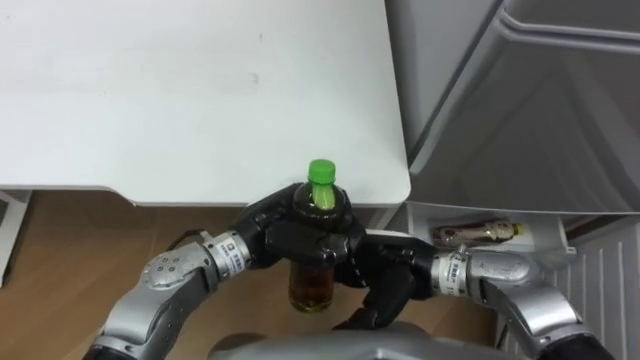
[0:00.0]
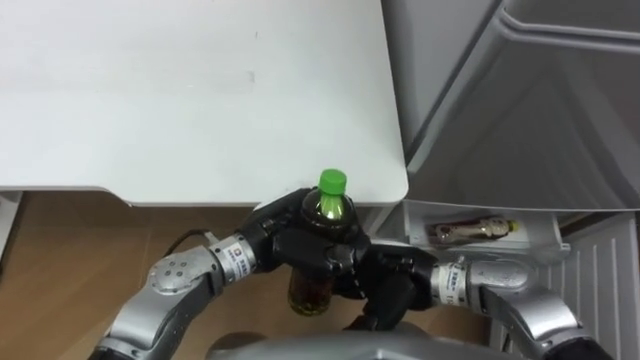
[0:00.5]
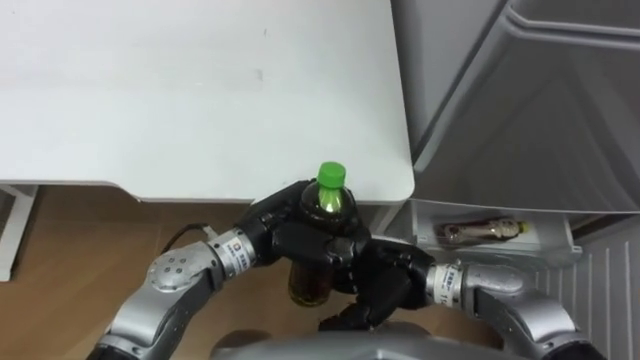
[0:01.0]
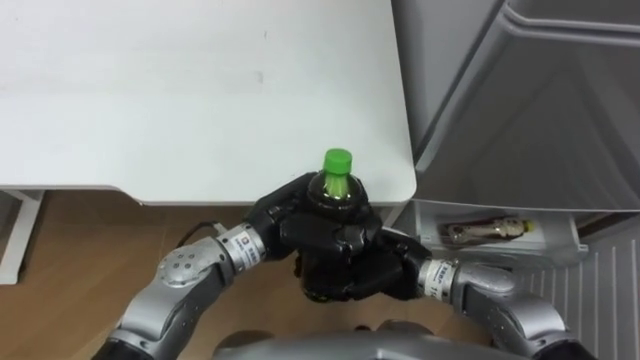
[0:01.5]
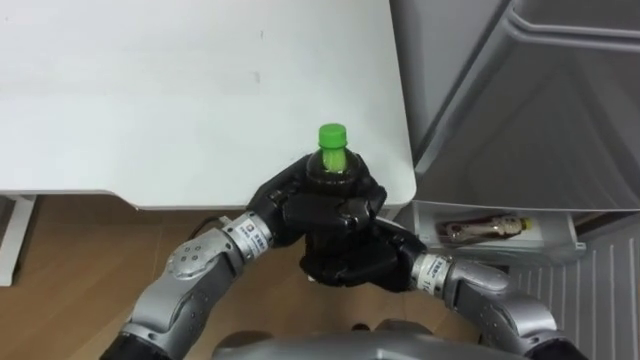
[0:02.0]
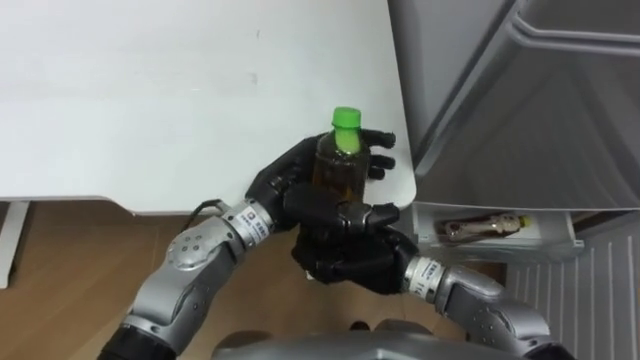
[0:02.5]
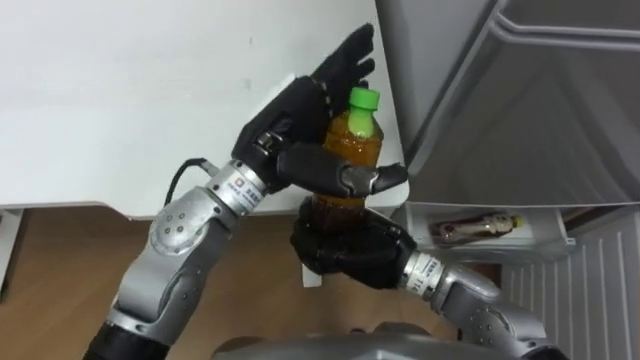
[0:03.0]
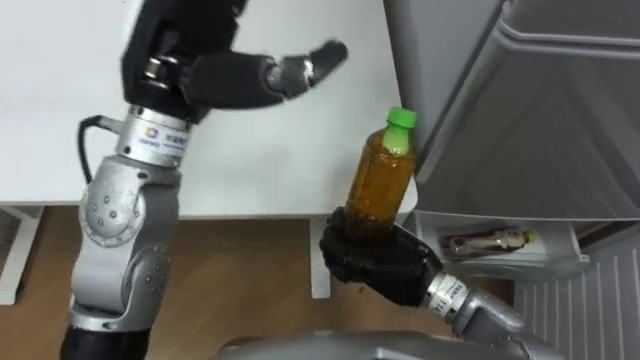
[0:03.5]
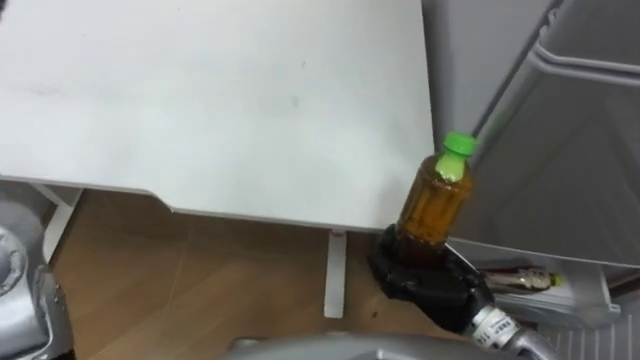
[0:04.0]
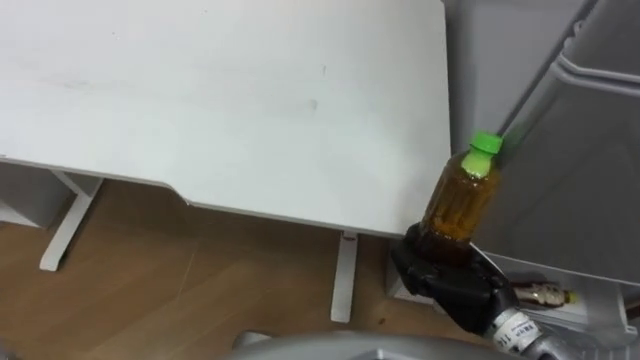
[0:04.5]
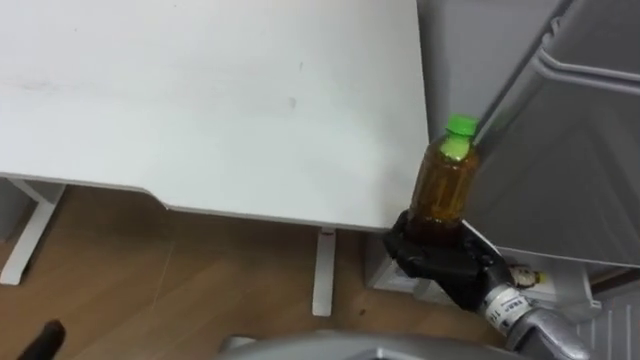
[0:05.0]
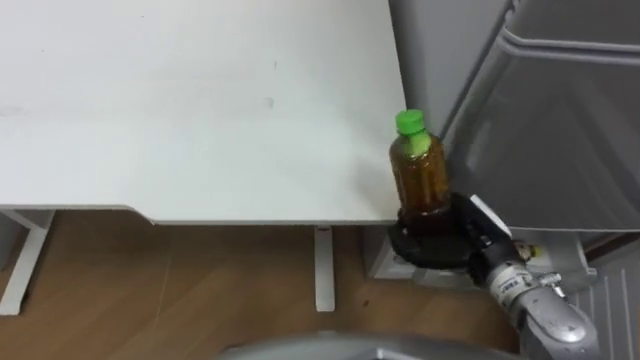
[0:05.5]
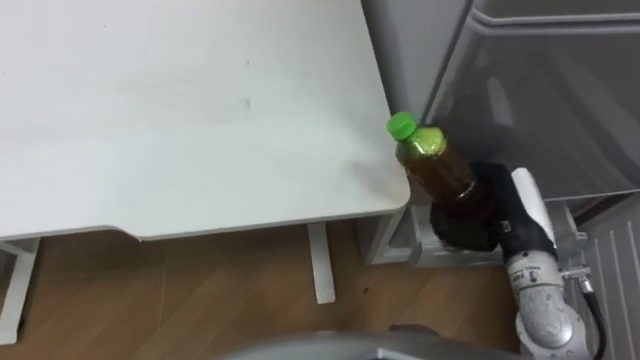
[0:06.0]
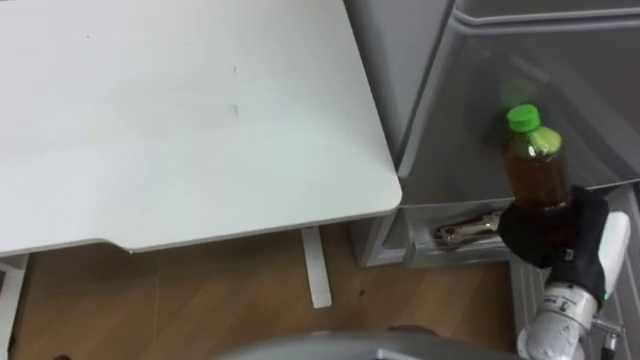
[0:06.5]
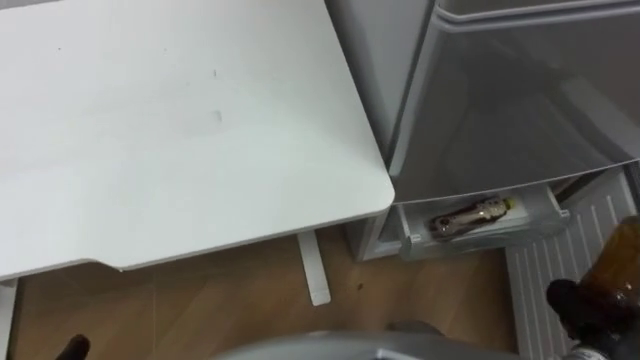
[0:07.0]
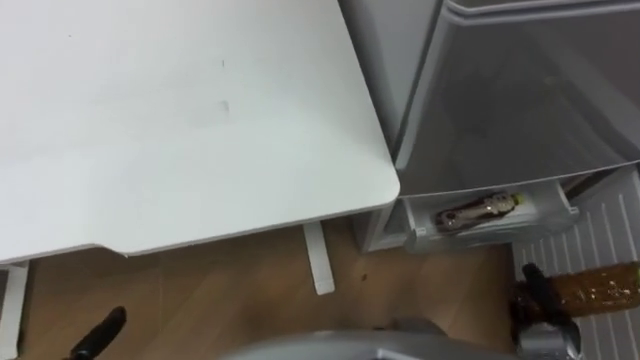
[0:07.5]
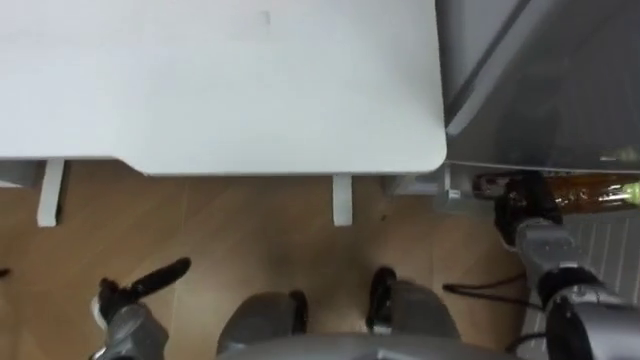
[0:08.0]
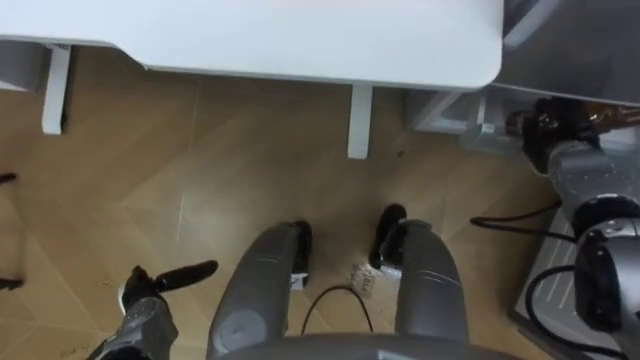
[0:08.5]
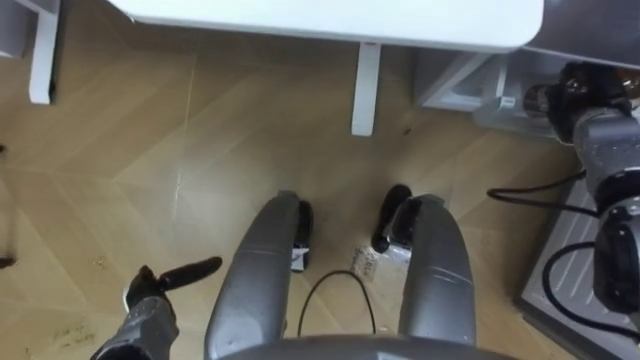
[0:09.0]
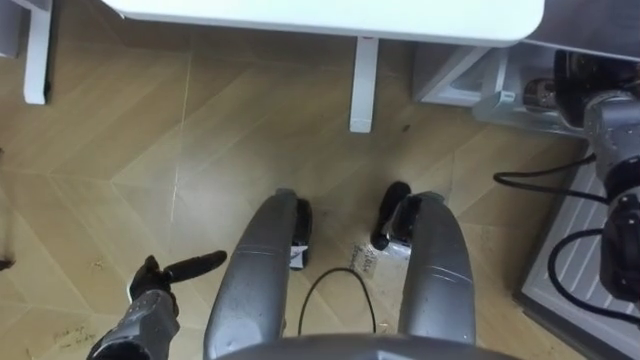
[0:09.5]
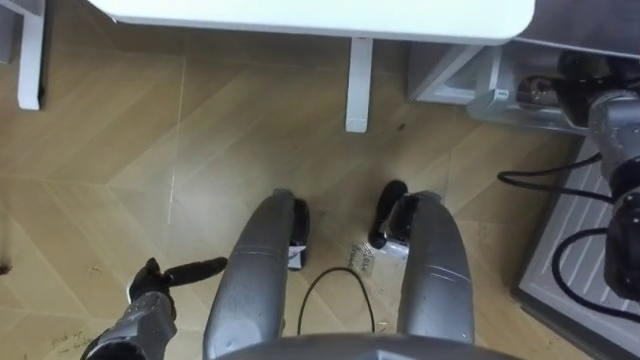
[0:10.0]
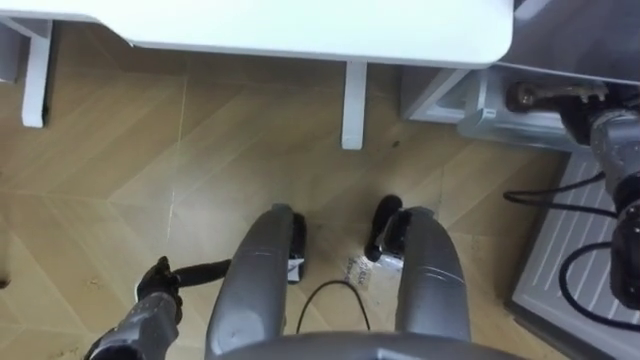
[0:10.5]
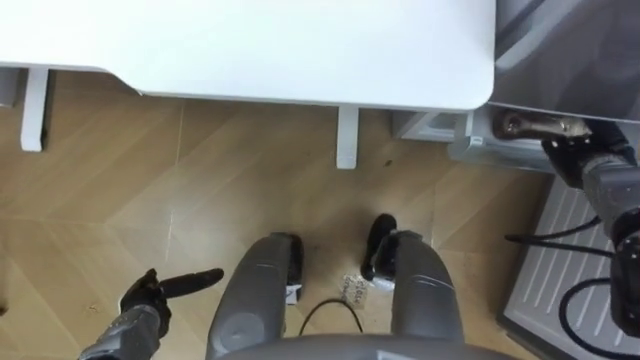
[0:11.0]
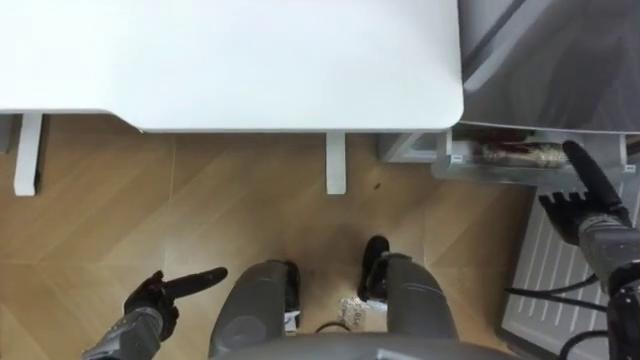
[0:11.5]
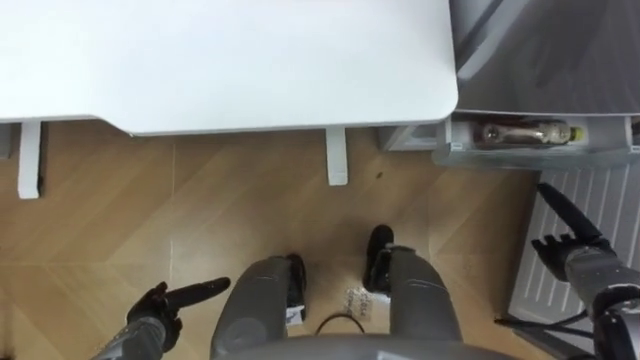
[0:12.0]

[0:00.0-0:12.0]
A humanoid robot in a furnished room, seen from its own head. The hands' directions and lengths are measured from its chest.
Task of the whole recording: Place the drink on the table on the bottom shelf of the refrigerator, then close the drawer and the refrigerator door.
0:00.0 to 0:02.0: The right hand closes its fingers.
0:02.0 to 0:04.0: The right hand is displaced to the right by some 10 cm.
0:04.0 to 0:06.0: The right hand travels to the right, forward and upward by roughly 10 cm.
0:08.0 to 0:10.0: The right hand heads upward and forward, covering roughly 20 cm, and opens.
0:10.0 to 0:12.0: The right hand travels backward and downward by about 25 cm.

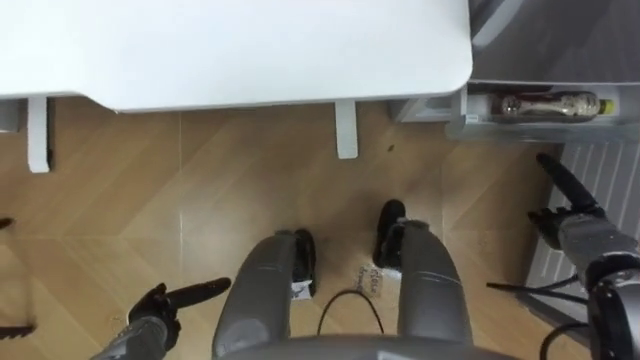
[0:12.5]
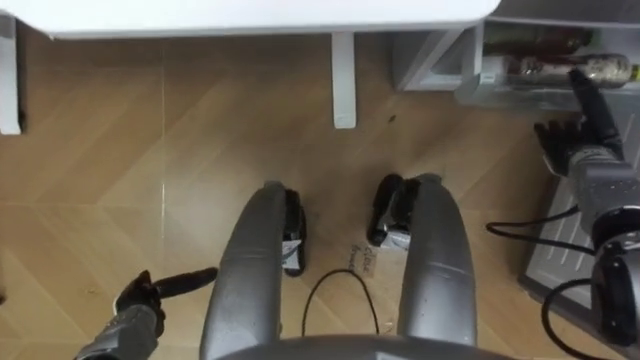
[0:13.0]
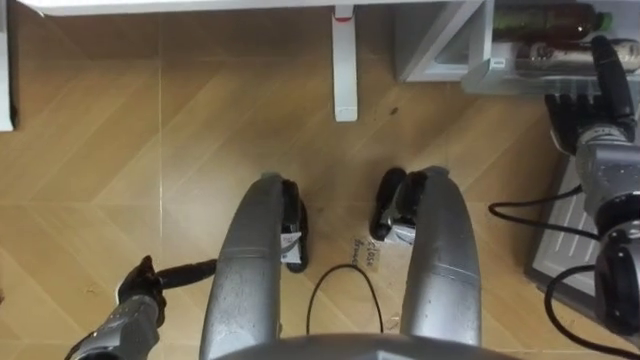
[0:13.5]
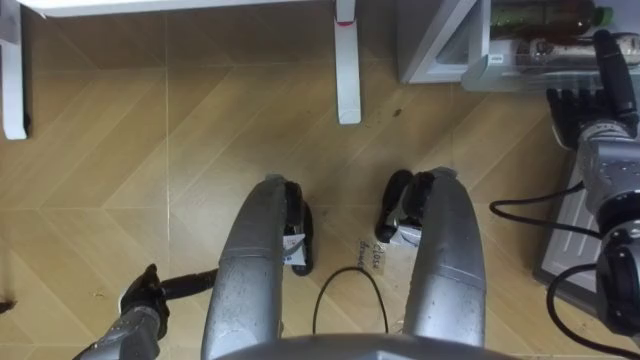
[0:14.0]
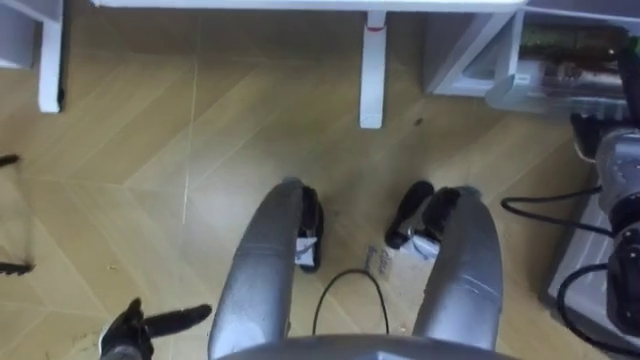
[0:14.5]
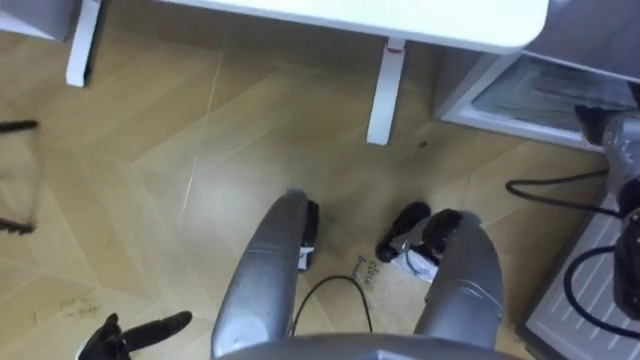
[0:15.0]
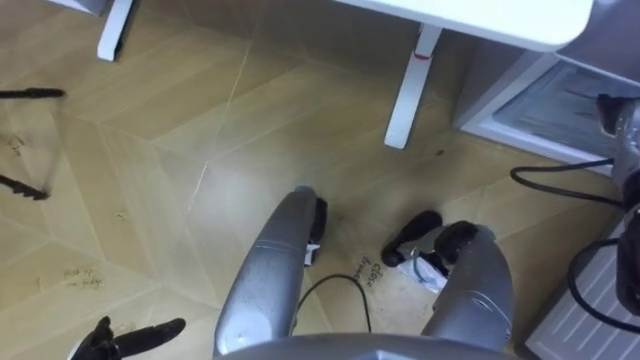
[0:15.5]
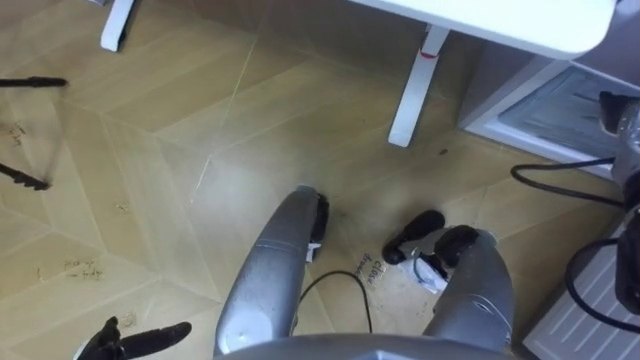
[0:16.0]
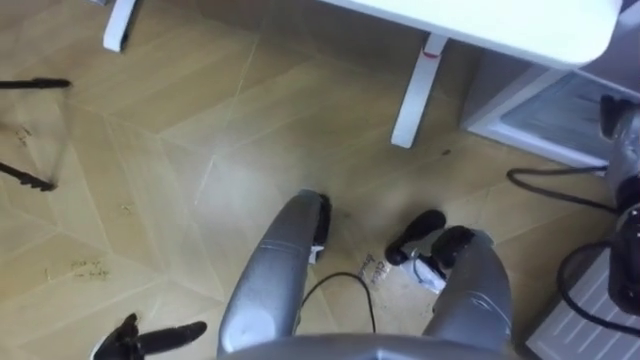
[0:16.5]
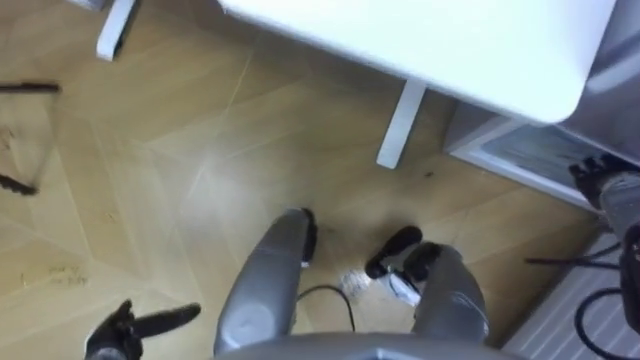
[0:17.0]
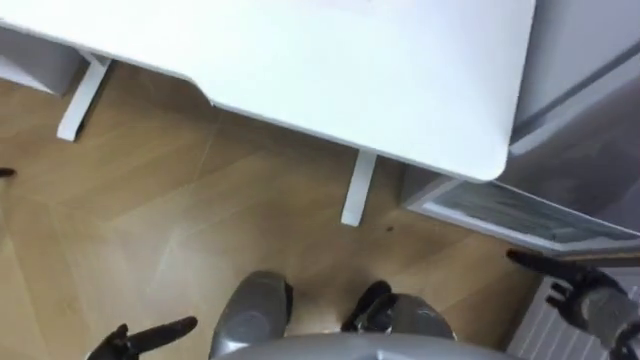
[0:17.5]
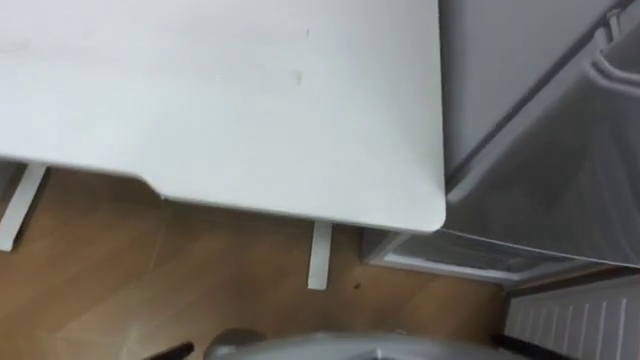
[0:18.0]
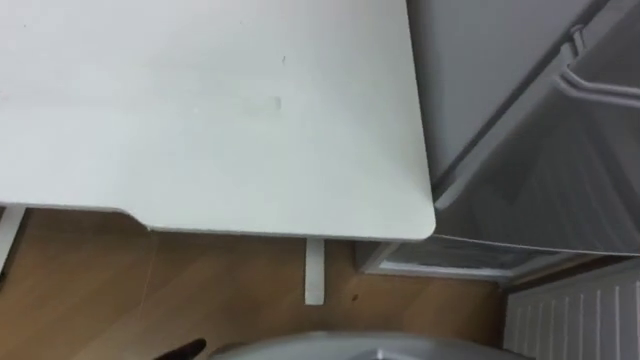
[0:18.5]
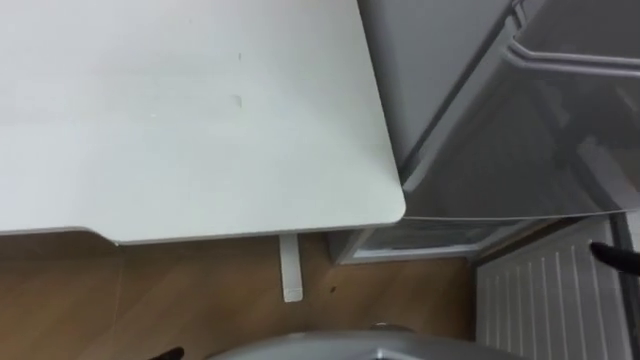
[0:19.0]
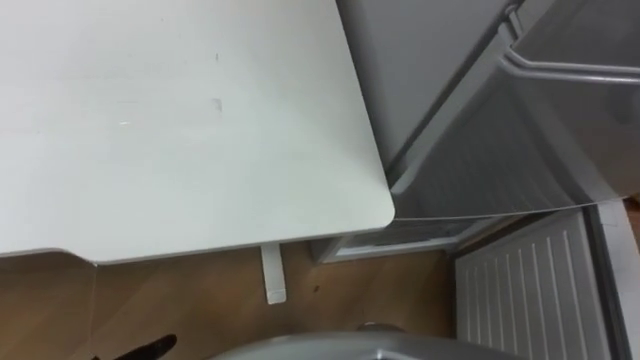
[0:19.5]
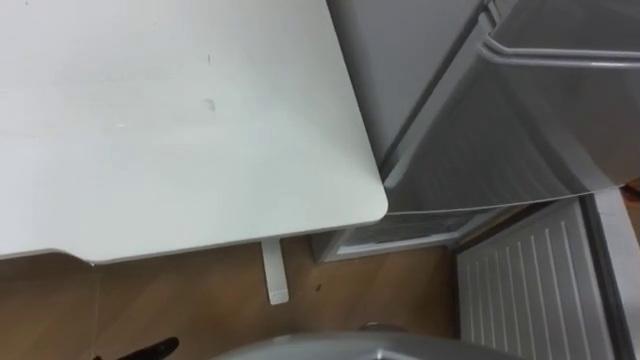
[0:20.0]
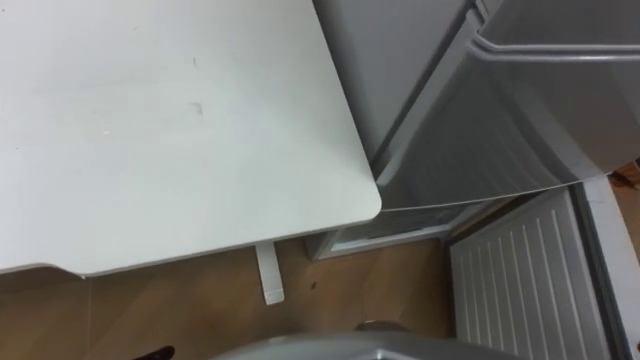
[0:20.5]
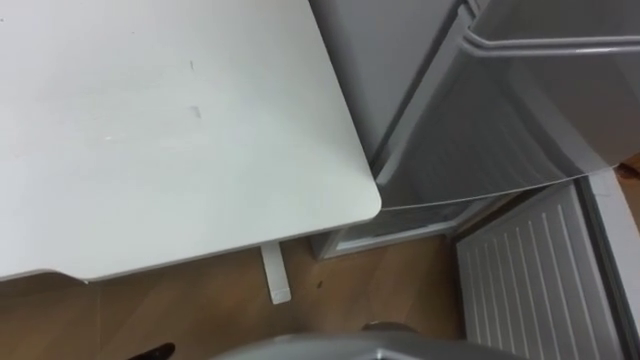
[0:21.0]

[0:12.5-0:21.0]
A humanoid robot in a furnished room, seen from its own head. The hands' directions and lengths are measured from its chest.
Task of the whole recording: Place the drink on the table on the bottom shelf of the refrigerator, then close the drawer and the refrigerator door.
0:12.5 to 0:14.5: The right hand travels upward and forward by some 15 cm.
